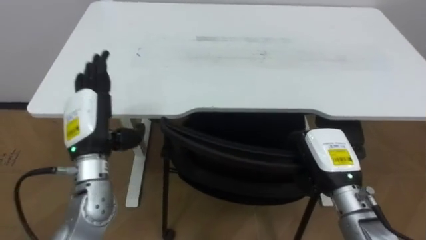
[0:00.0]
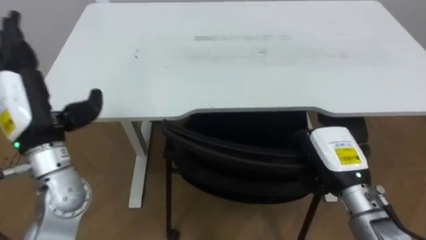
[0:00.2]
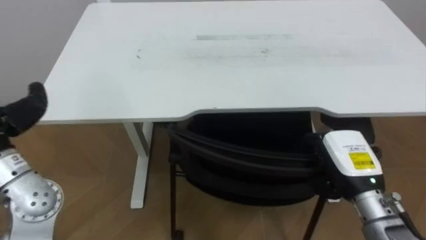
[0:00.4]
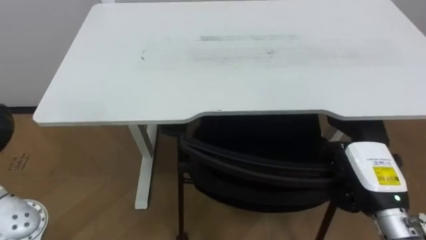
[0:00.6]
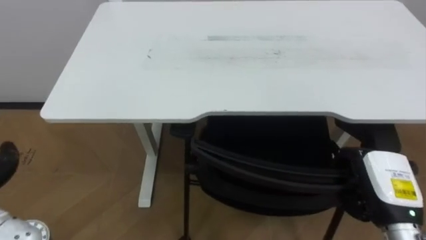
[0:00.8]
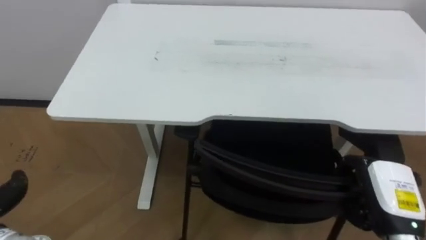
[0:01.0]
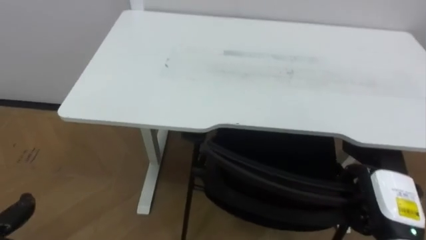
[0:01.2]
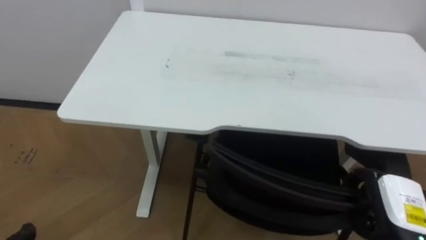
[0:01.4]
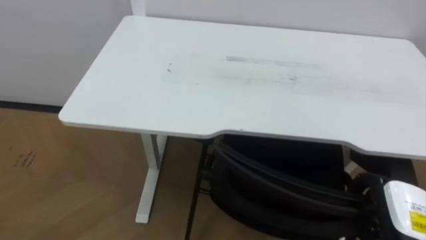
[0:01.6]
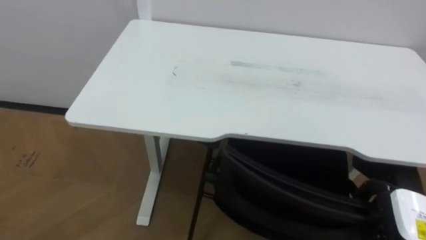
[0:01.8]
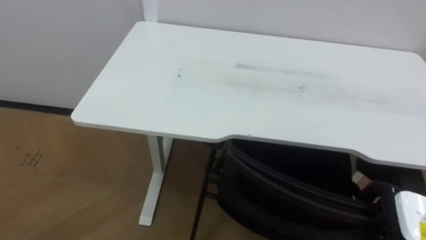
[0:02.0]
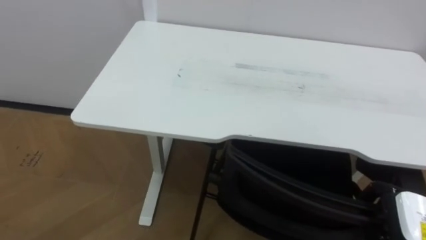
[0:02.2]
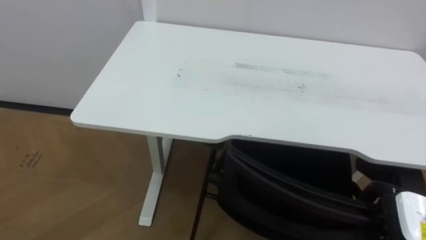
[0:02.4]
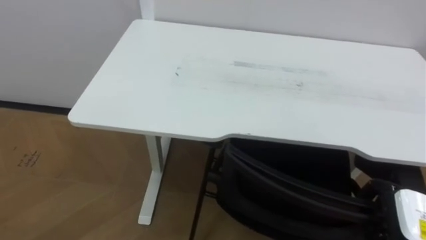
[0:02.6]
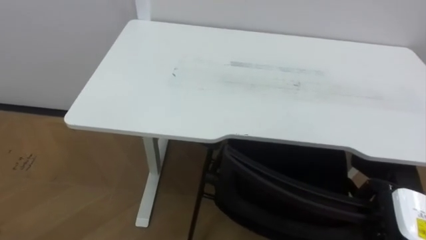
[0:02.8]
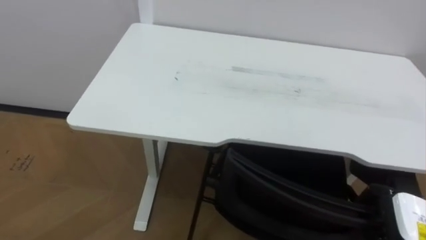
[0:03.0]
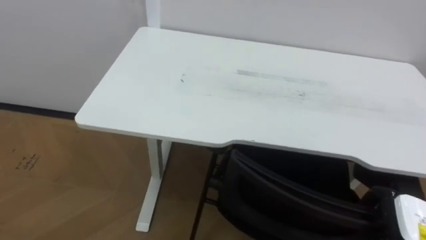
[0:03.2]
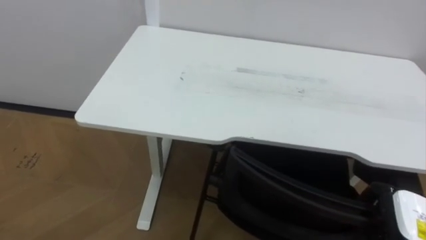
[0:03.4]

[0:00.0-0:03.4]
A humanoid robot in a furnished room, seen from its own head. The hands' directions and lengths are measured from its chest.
Task of the whole recording: Push the chair under the table.
0.0 to 1.6 s: The right hand goes some 15 cm to the right and backward.

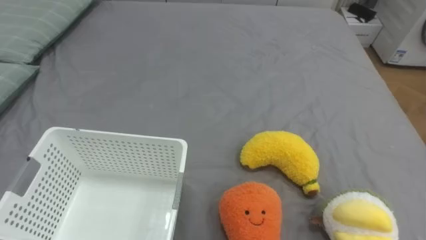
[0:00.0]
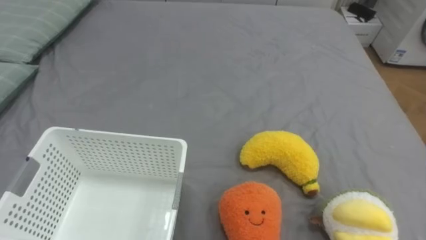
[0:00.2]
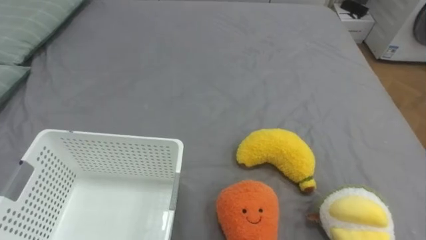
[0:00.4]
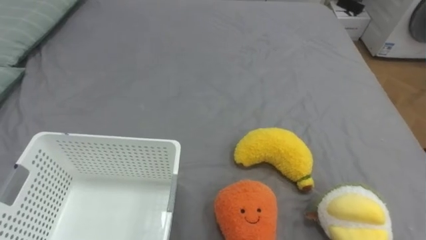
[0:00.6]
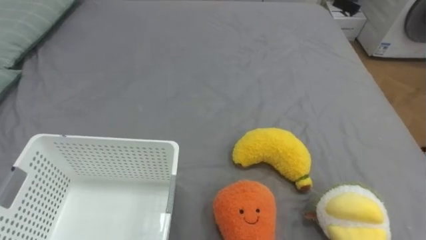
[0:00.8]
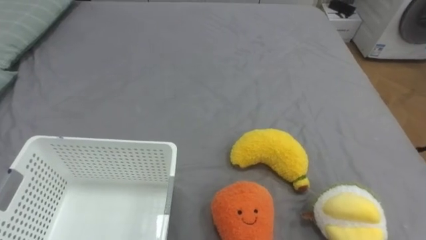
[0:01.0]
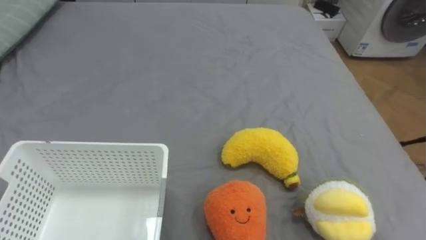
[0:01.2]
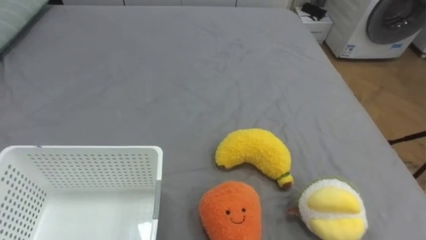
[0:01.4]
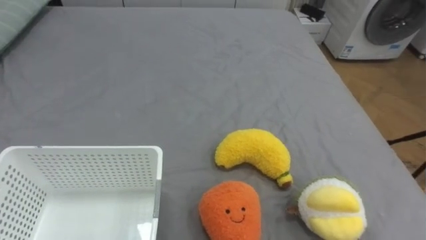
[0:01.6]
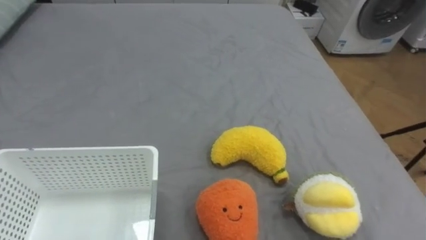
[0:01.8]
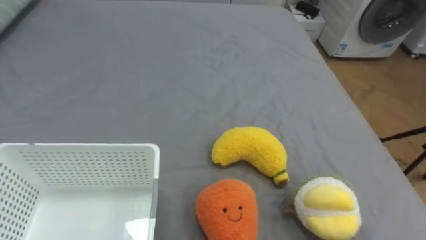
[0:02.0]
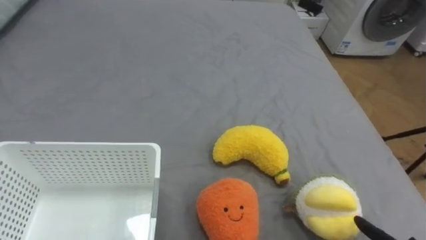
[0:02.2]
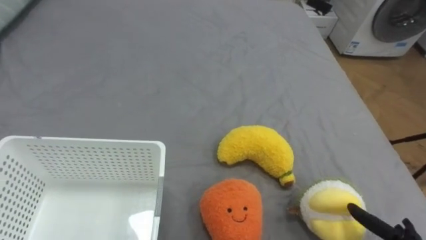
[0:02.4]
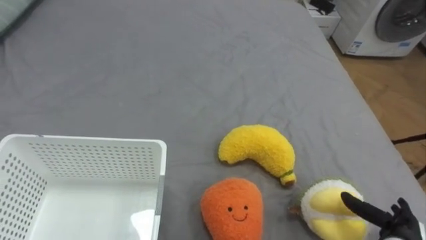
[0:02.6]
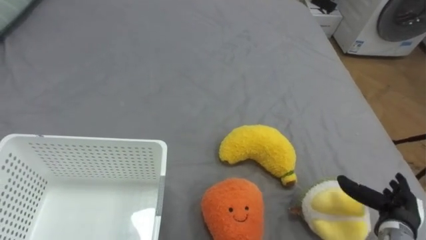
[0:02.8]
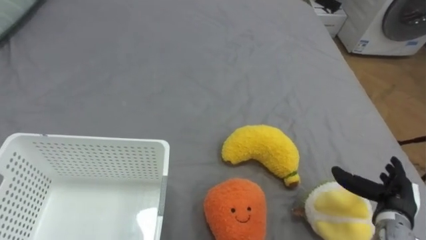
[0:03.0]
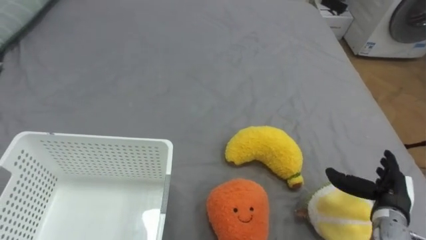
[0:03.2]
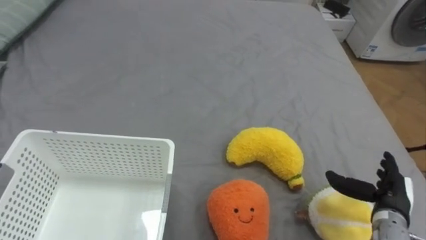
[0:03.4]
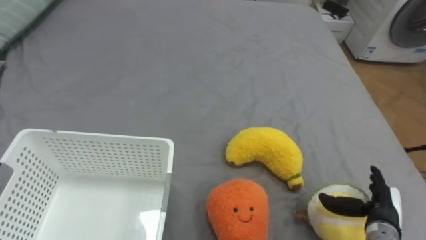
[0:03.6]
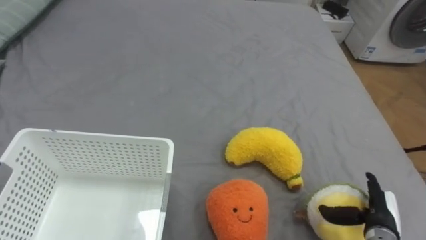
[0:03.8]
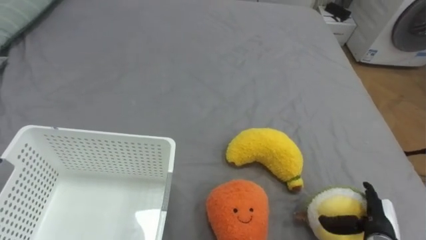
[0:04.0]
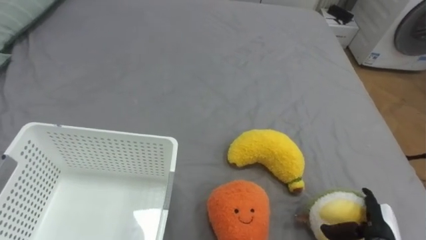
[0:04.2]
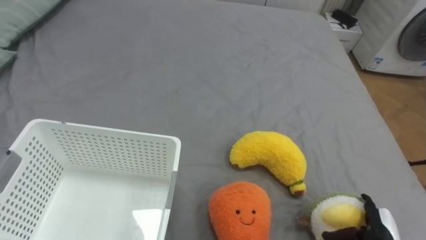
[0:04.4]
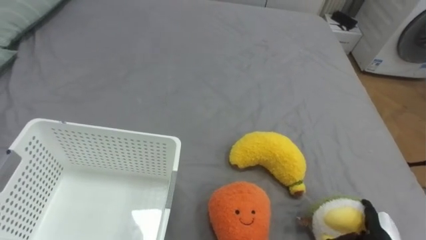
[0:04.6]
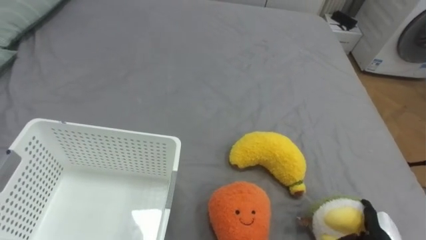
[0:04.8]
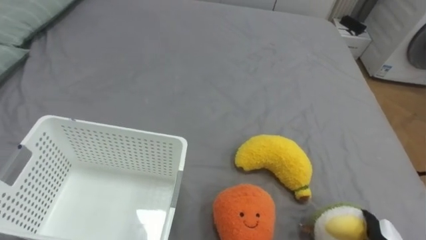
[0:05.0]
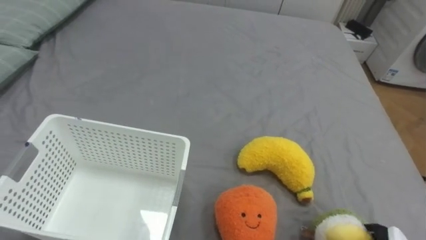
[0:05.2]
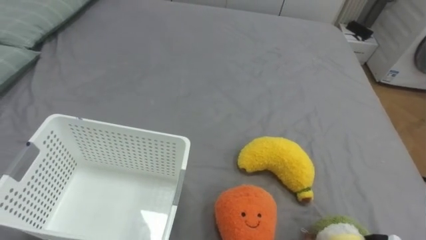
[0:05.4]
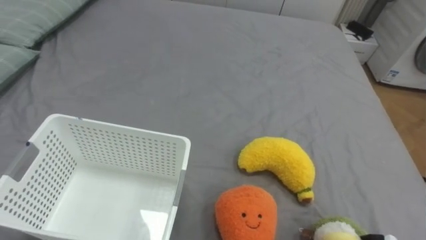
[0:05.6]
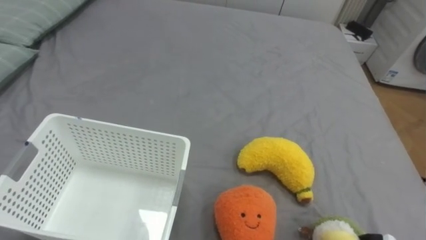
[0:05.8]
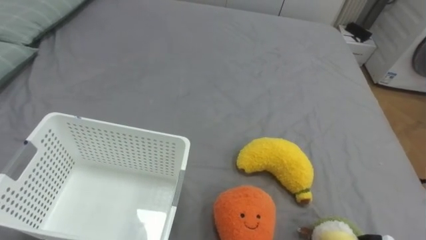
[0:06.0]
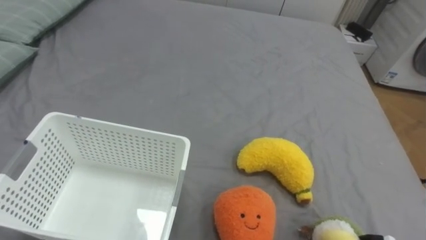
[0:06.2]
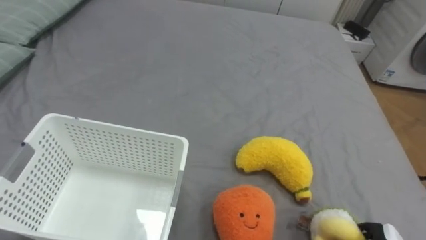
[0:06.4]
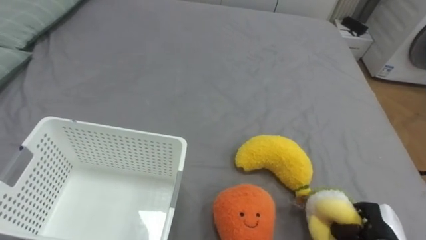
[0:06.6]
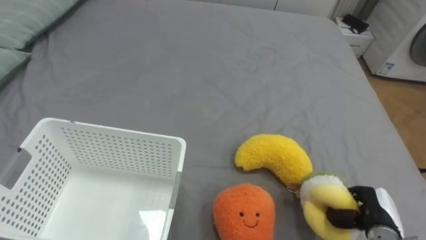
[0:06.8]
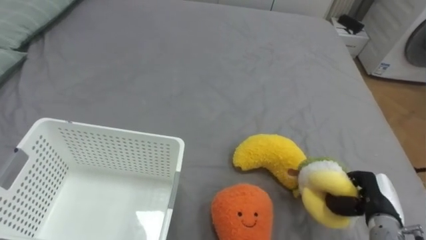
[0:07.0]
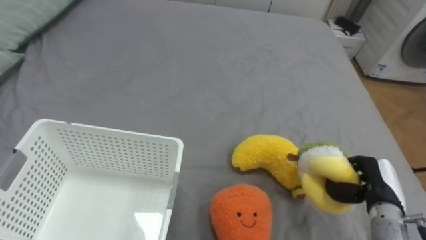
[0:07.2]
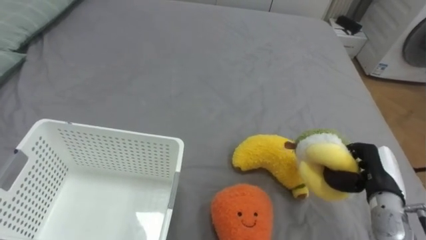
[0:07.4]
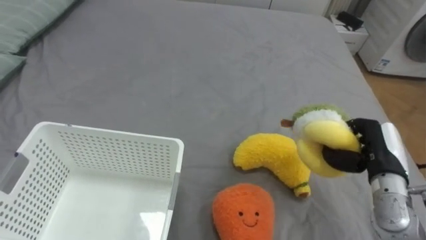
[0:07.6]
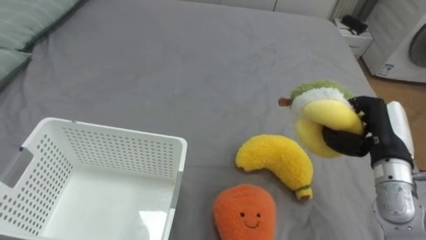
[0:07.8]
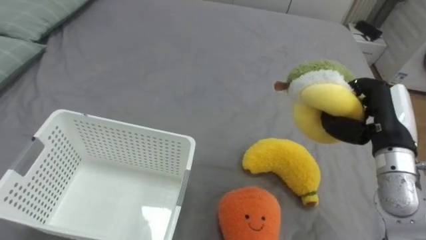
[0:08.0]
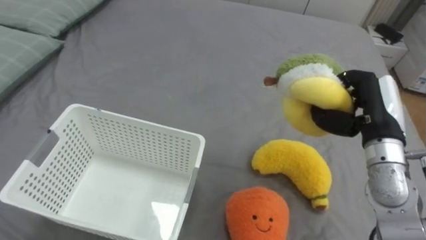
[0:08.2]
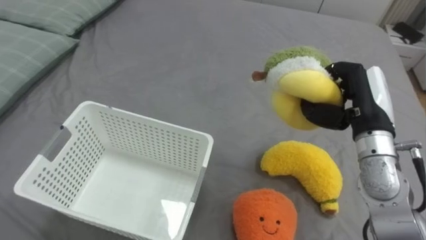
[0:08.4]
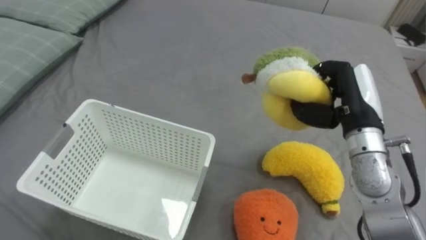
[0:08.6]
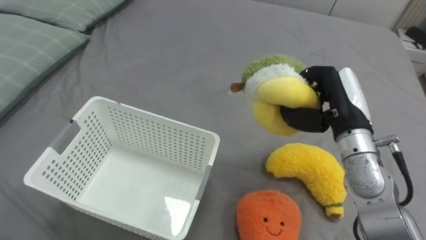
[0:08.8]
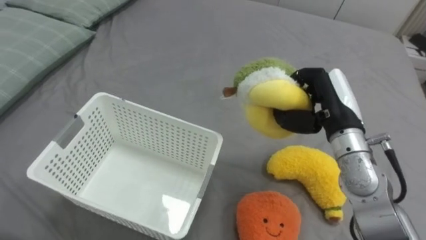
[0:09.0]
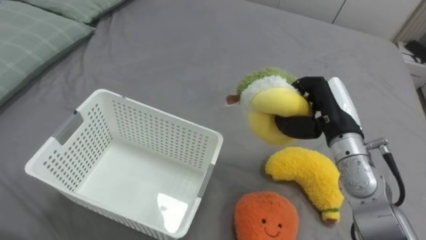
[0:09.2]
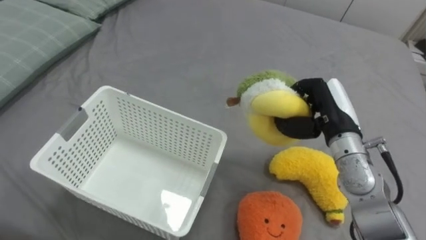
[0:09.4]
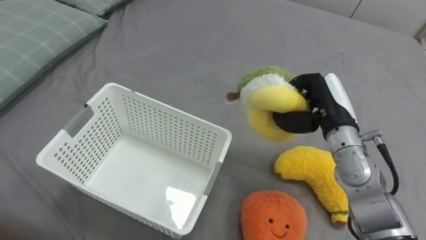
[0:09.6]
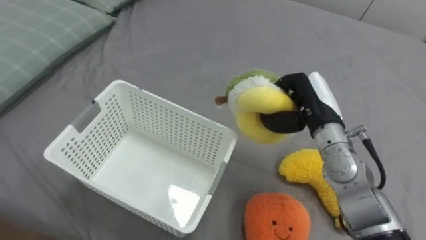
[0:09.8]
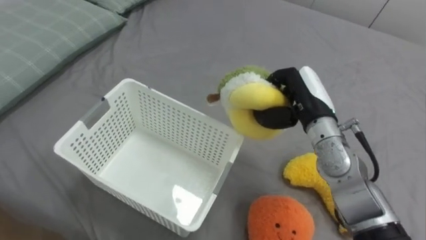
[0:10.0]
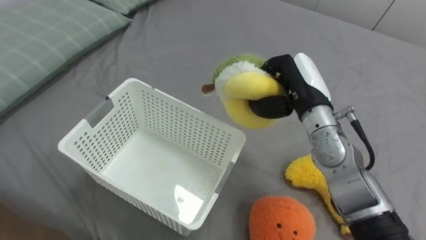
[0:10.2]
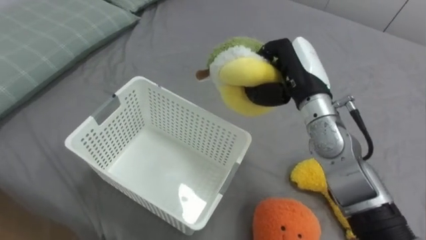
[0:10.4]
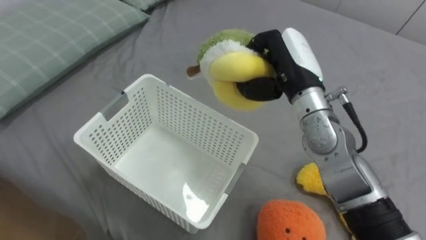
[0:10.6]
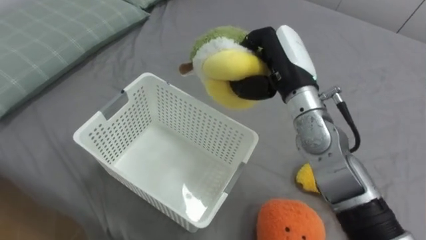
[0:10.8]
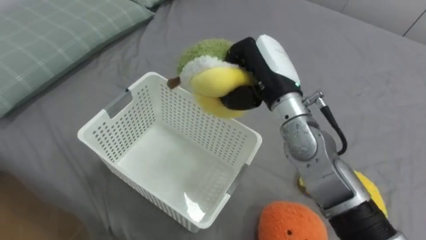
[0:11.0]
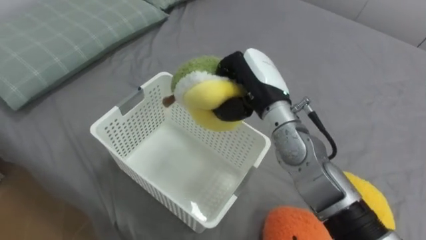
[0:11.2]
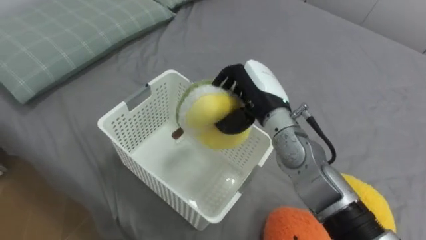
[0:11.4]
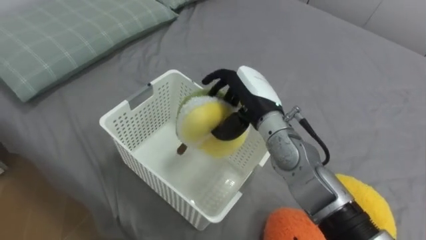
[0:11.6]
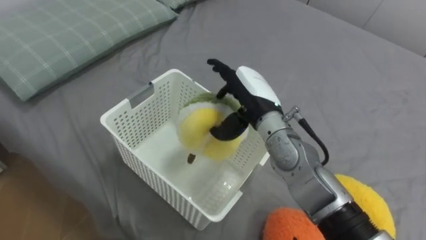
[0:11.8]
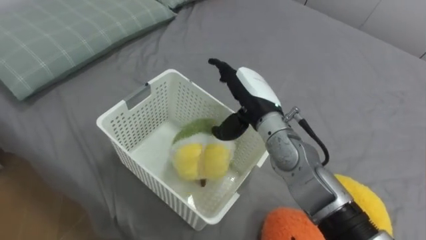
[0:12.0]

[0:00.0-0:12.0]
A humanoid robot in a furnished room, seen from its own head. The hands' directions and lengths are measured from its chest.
Task of the whole recording: Put the toys on the bed into the basket on the left.
3.0 to 4.4 s: The right hand travels downward by some 5 cm.
7.6 to 9.0 s: The right hand heads to the left, upward and forward, covering roughly 15 cm.
9.0 to 10.4 s: The right hand heads to the left, covering some 5 cm.
10.4 to 12.0 s: The right hand shifts some 10 cm to the left, and opens up.

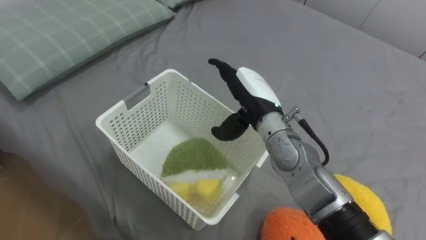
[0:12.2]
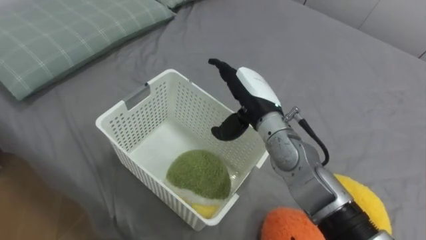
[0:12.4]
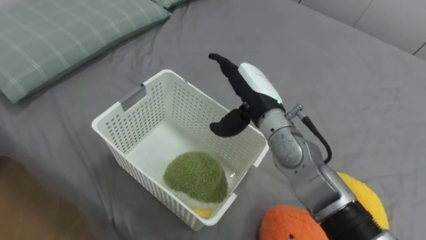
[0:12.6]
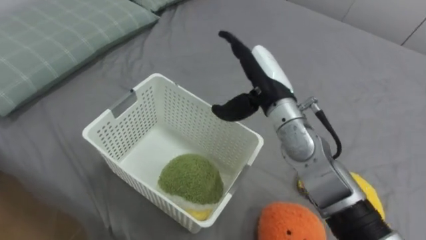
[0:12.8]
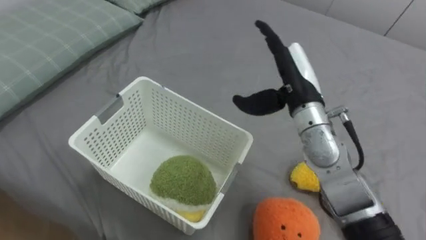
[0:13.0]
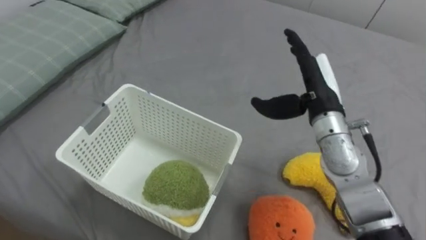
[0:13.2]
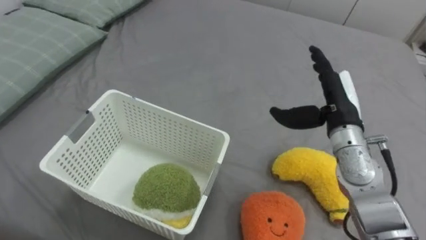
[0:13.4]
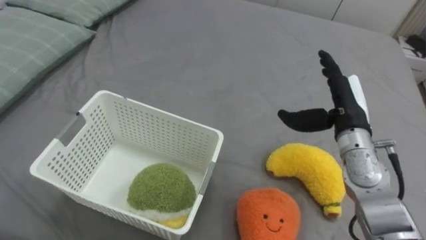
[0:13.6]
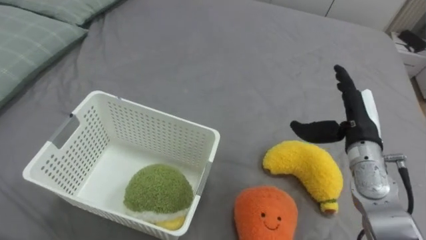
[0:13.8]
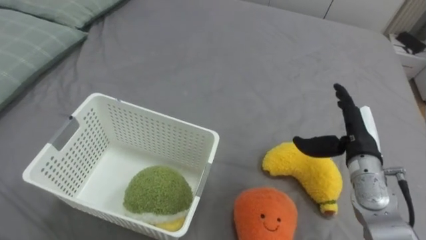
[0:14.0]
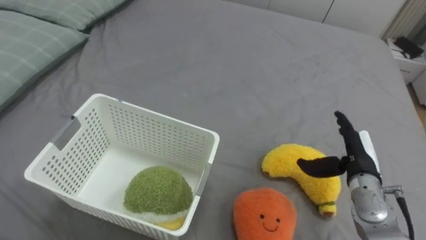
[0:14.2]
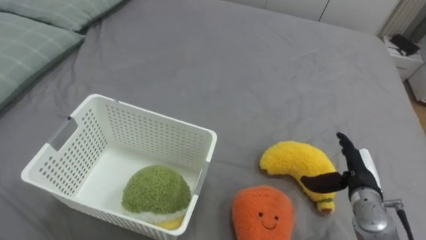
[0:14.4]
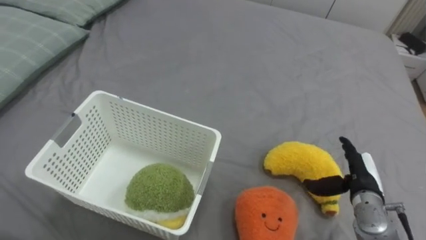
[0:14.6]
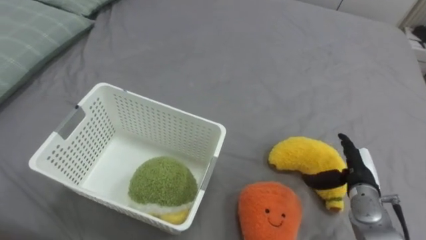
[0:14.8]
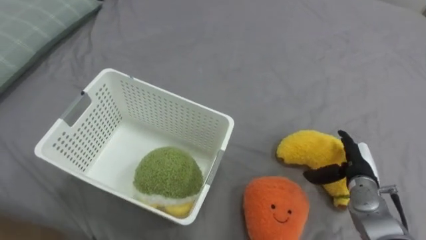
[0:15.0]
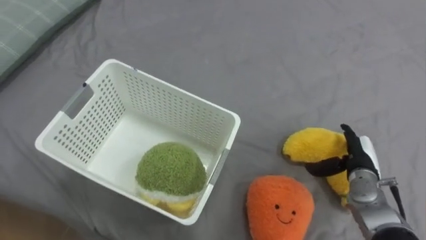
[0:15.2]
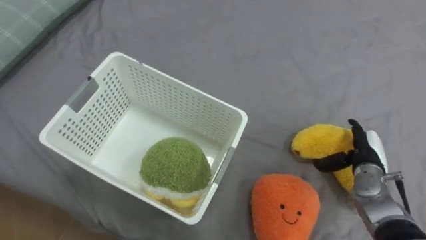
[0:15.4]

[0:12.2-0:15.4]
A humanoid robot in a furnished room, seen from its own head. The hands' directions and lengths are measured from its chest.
Task of the whole recording: Put the toys on the bed into the basket on the left.
12.2 to 13.8 s: The right hand is displaced to the right by some 20 cm.
13.8 to 15.4 s: The right hand shifts about 10 cm downward and to the right.
